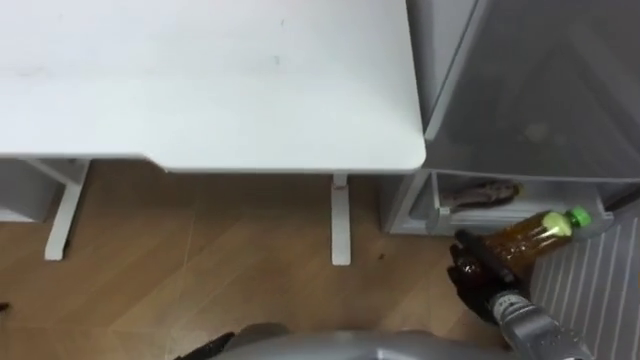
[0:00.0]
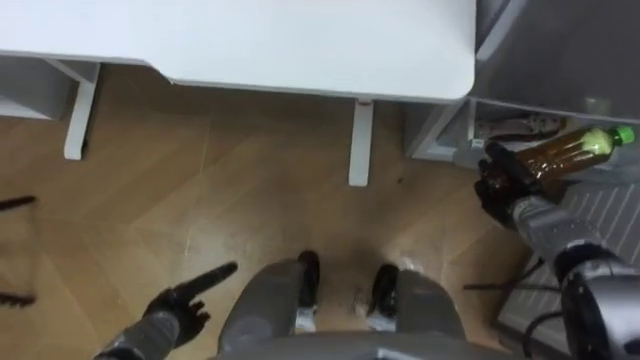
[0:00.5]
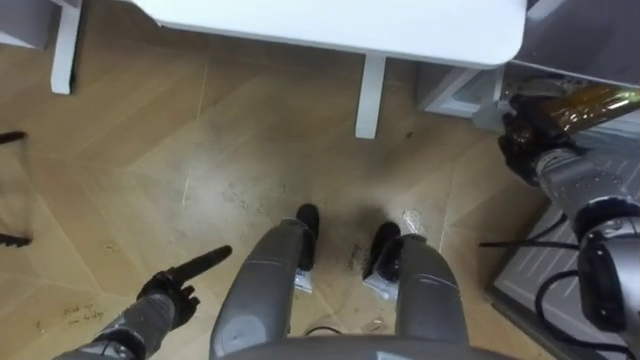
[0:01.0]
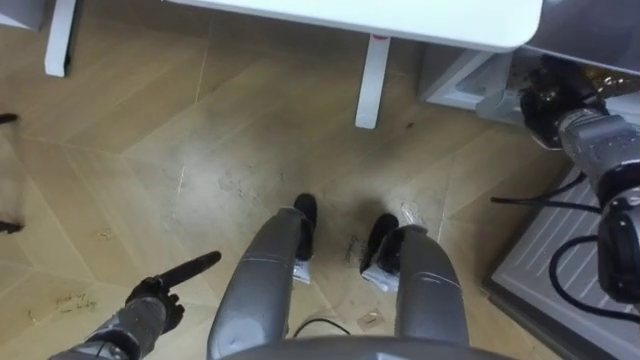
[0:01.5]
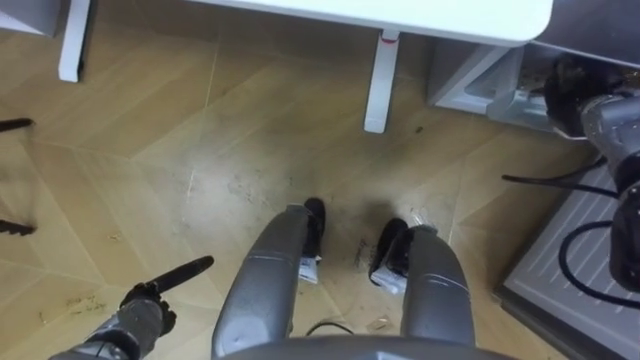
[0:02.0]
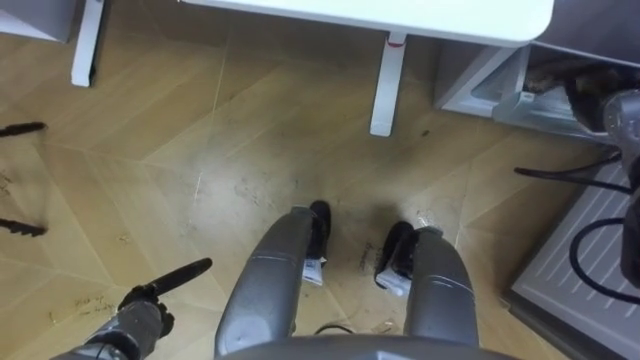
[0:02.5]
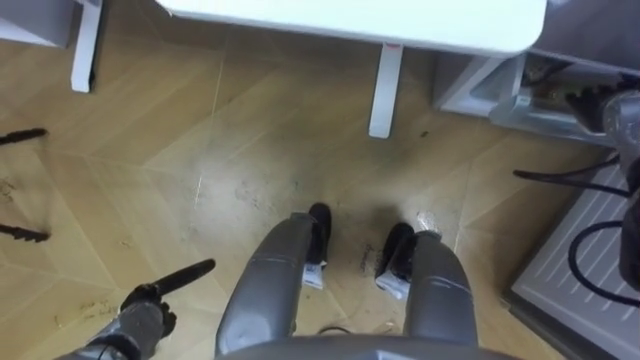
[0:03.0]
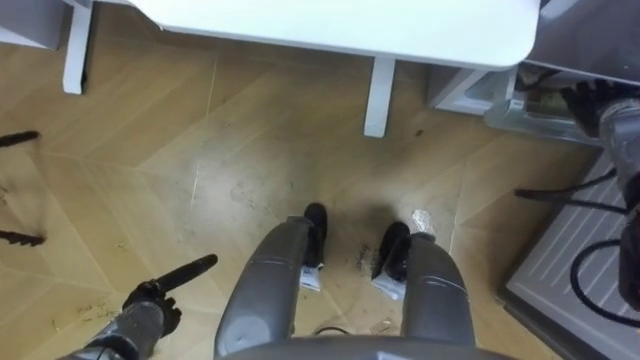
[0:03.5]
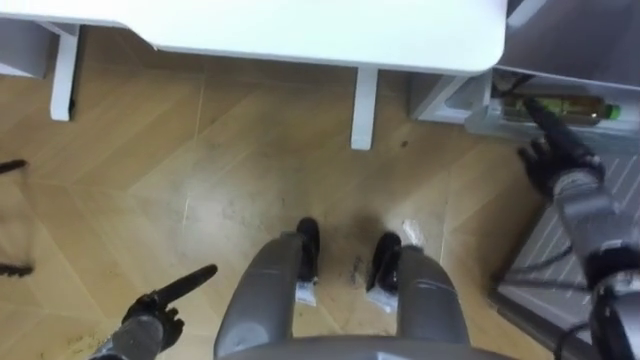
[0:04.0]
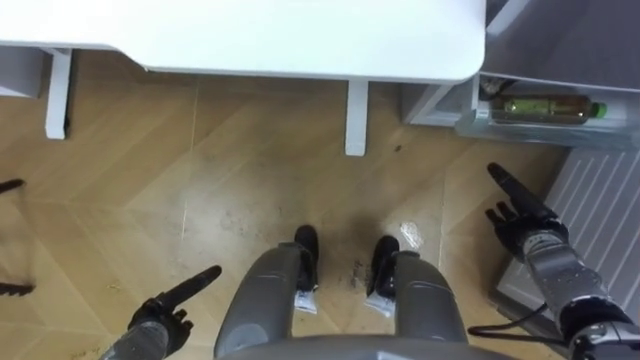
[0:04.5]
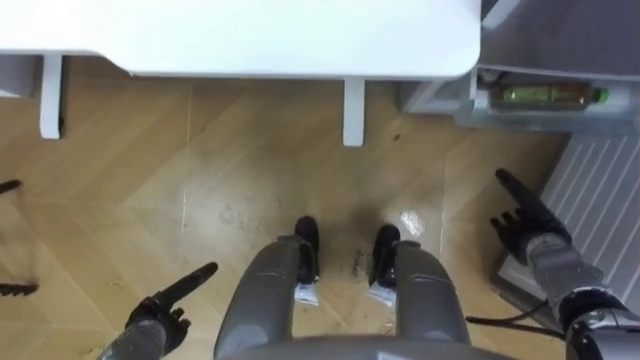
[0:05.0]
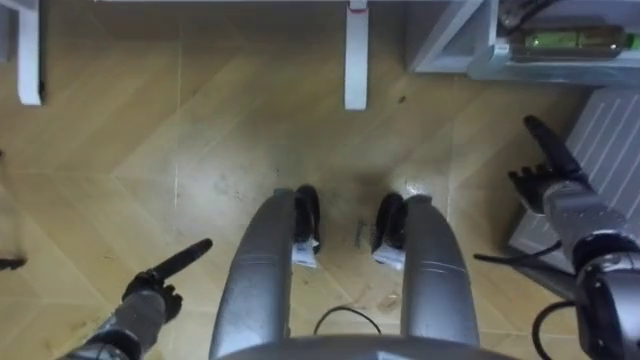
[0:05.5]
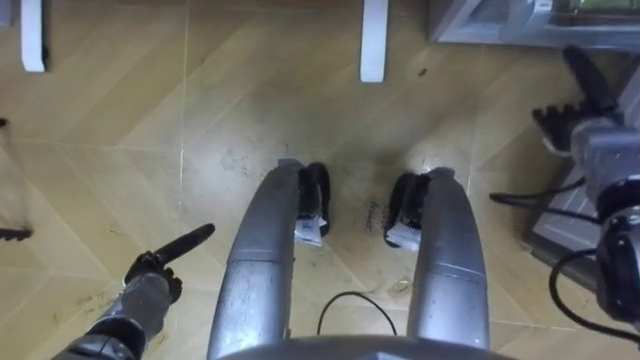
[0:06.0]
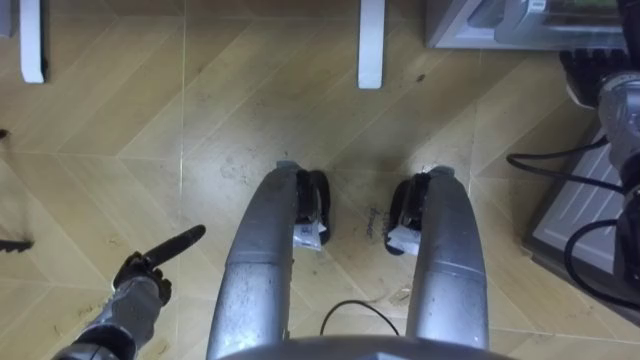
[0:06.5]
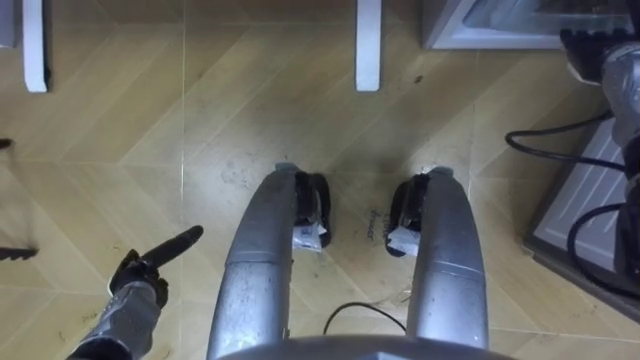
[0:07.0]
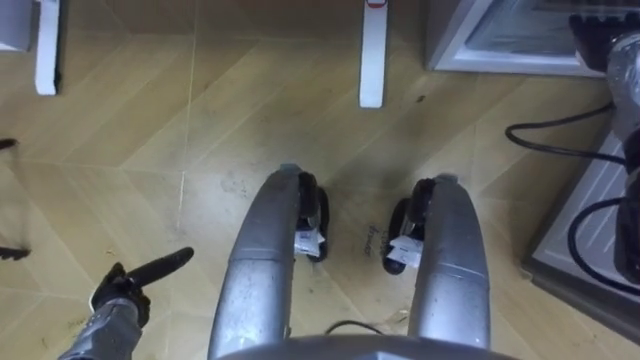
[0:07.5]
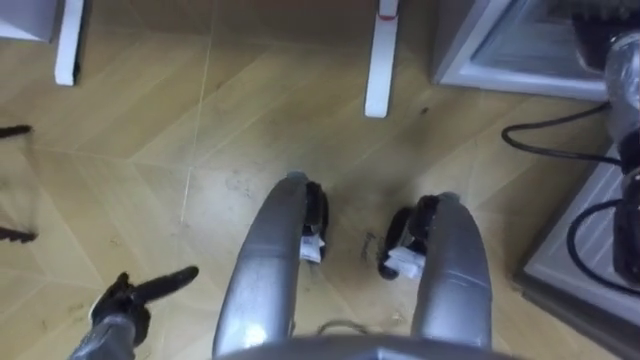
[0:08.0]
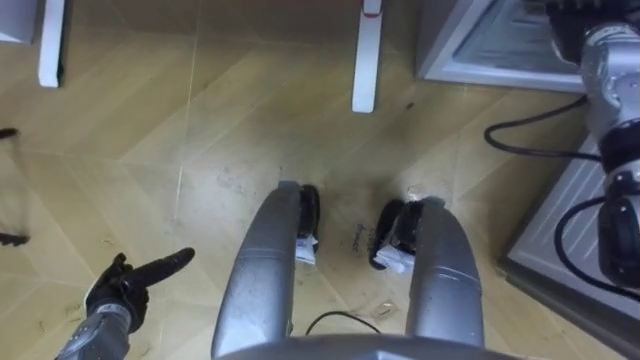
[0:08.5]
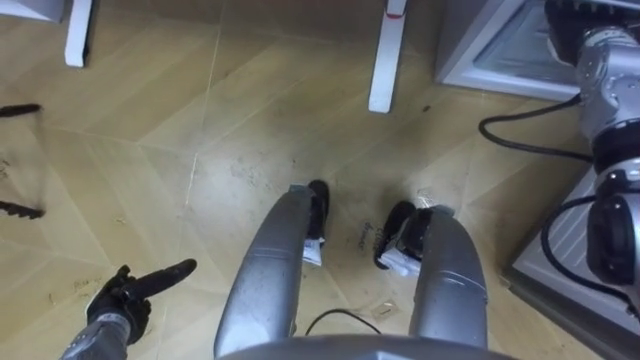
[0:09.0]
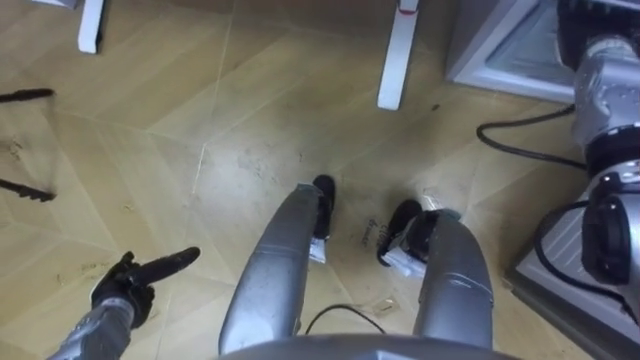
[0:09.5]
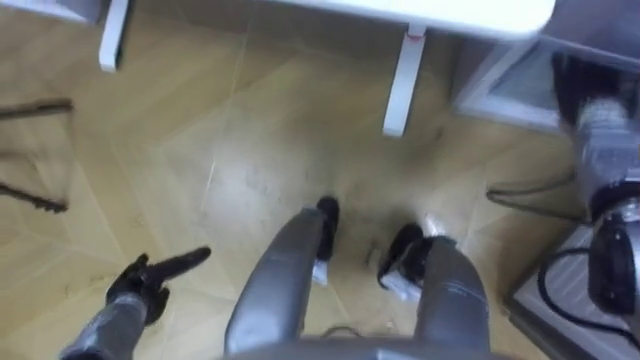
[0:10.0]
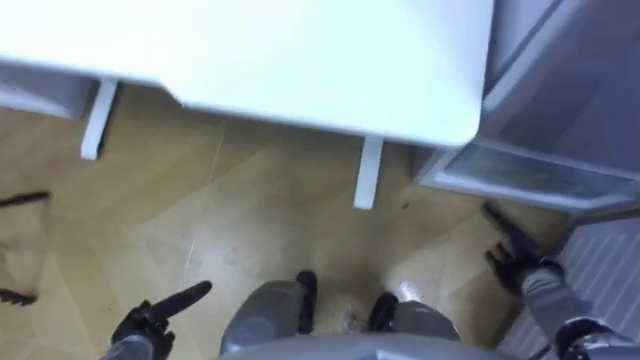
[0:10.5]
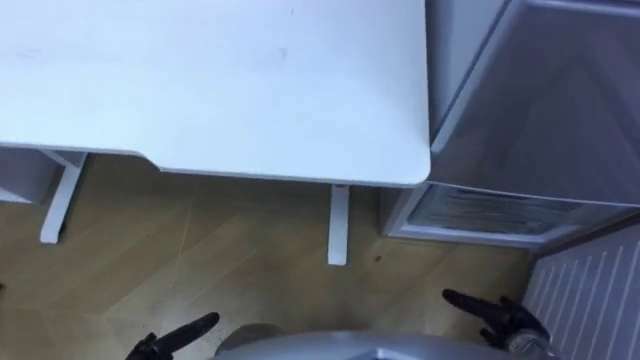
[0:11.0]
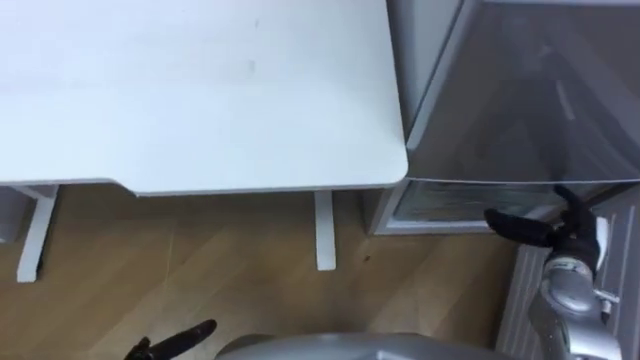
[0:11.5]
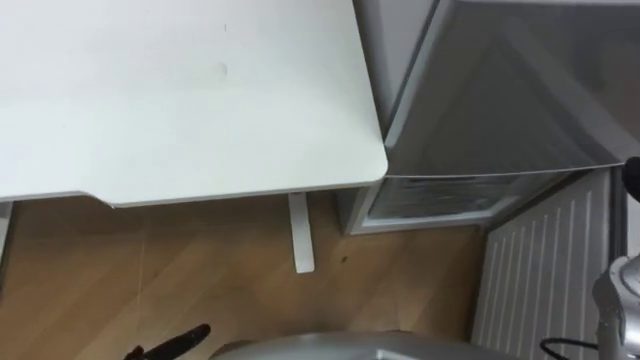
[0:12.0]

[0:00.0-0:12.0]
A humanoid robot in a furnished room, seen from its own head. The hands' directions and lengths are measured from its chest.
Task of the whole recording: Place the drink on the table on the bottom shelf of the refrigerator, then close the drawer and the refrigerator door.
0:00.0 to 0:02.0: The right hand goes some 30 cm forward, upward and to the right.
0:02.0 to 0:04.0: The right hand travels backward and downward by roughly 10 cm, and opens up.
0:04.0 to 0:06.0: The left hand shifts approximately 5 cm forward; the right hand travels backward and back again, roughly 10 cm each way.
0:06.0 to 0:08.0: The right hand moves upward and forward, roughly 10 cm. Meanwhile the left hand moves backward, roughly 5 cm.
0:08.0 to 0:10.0: The right hand heads downward, covering roughly 5 cm.

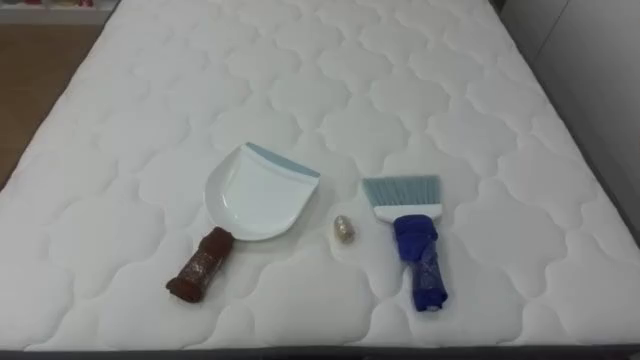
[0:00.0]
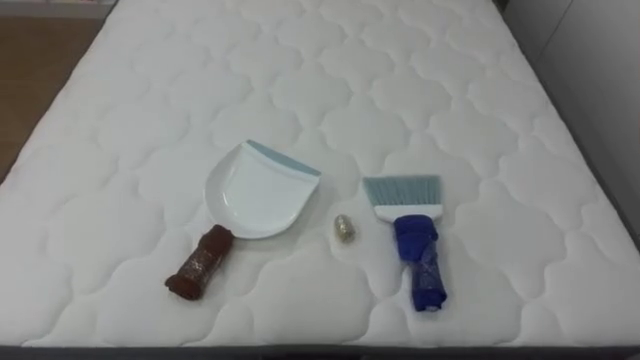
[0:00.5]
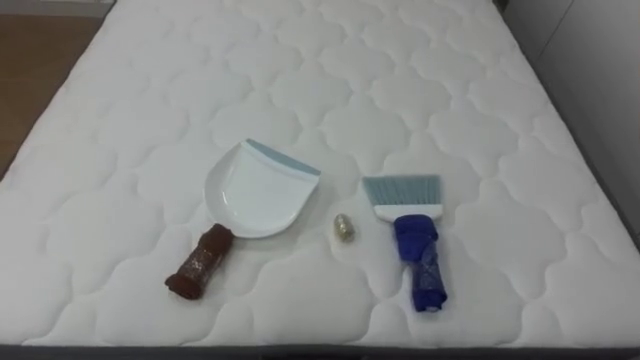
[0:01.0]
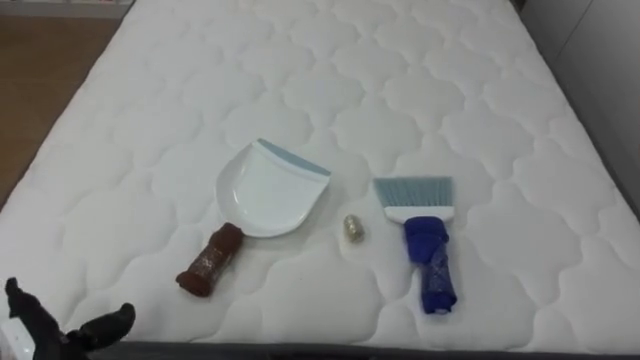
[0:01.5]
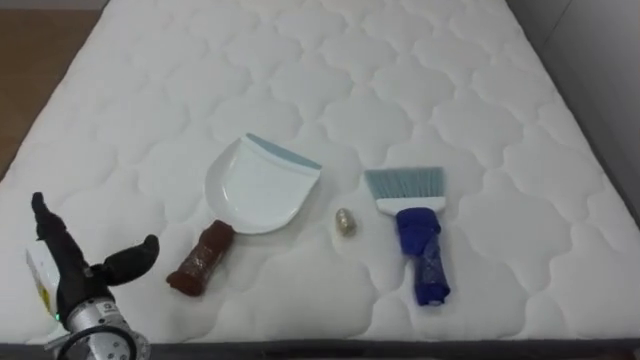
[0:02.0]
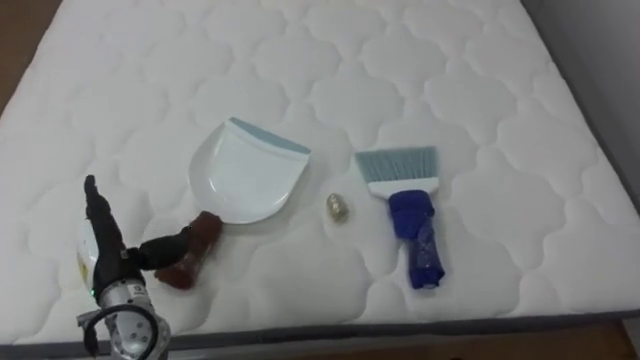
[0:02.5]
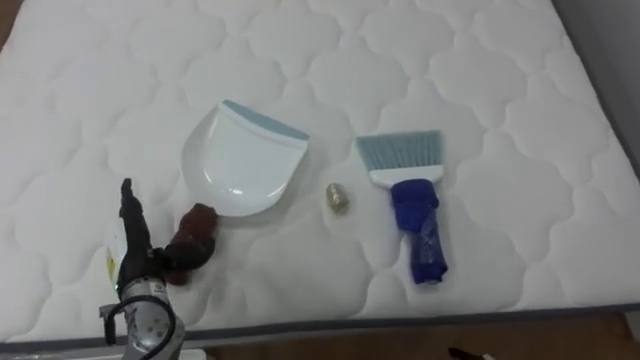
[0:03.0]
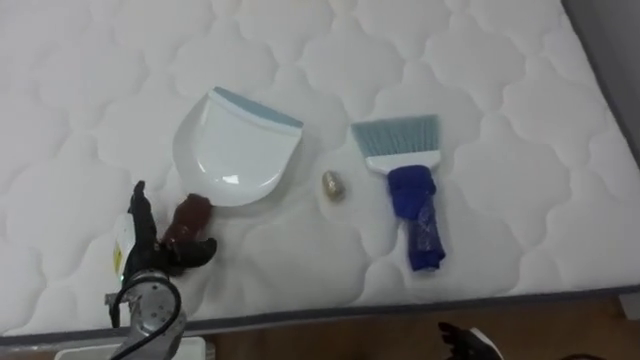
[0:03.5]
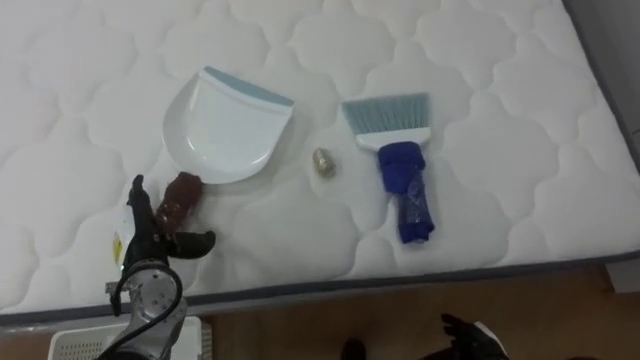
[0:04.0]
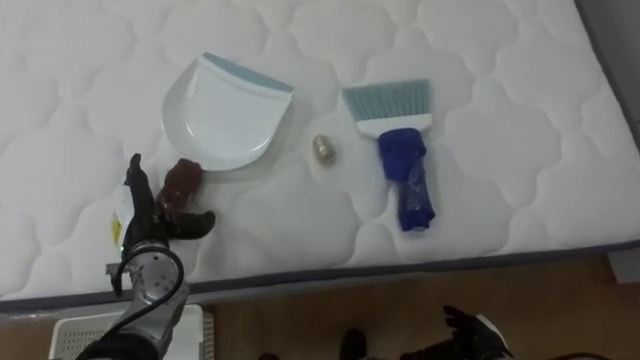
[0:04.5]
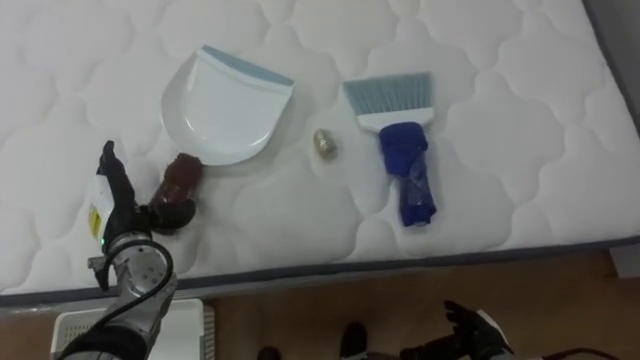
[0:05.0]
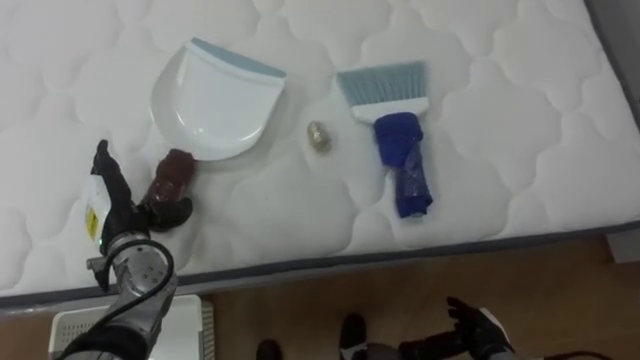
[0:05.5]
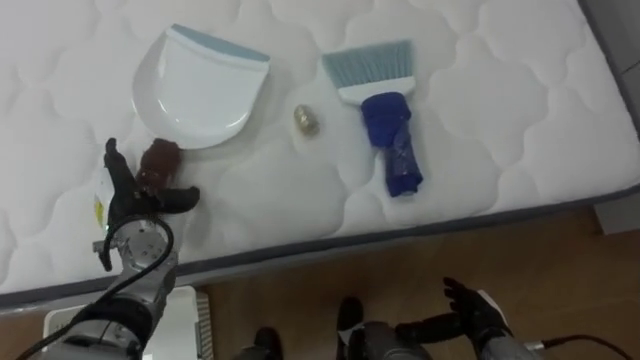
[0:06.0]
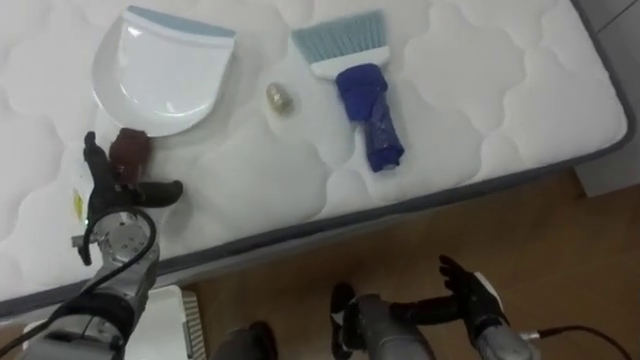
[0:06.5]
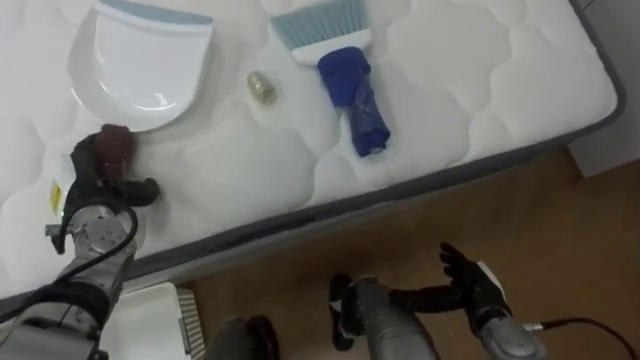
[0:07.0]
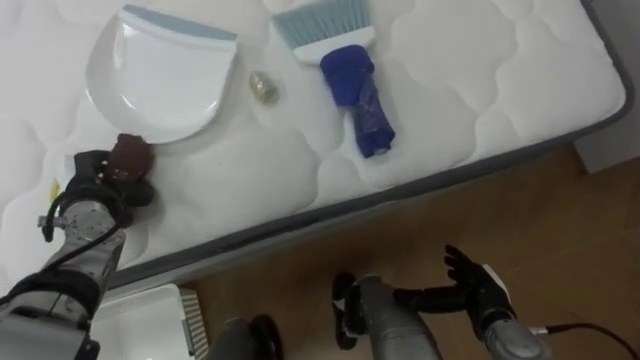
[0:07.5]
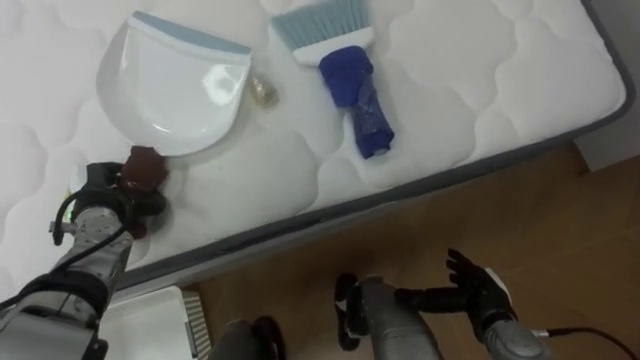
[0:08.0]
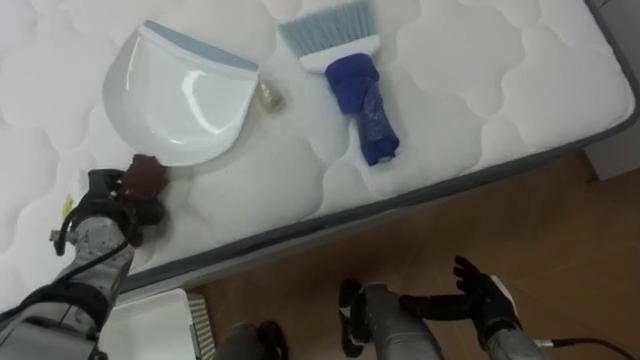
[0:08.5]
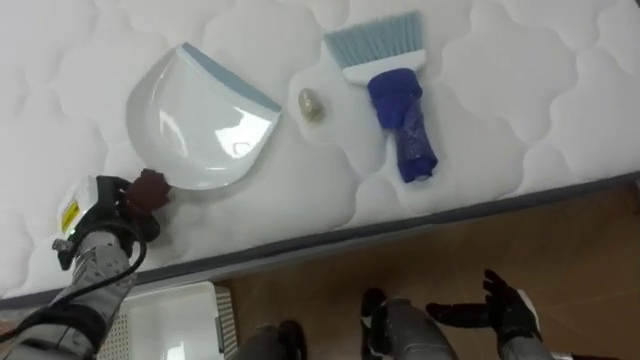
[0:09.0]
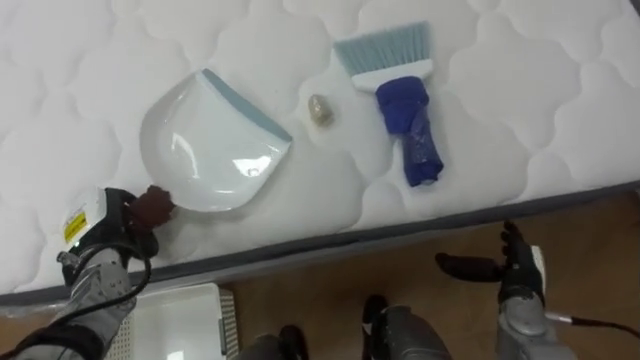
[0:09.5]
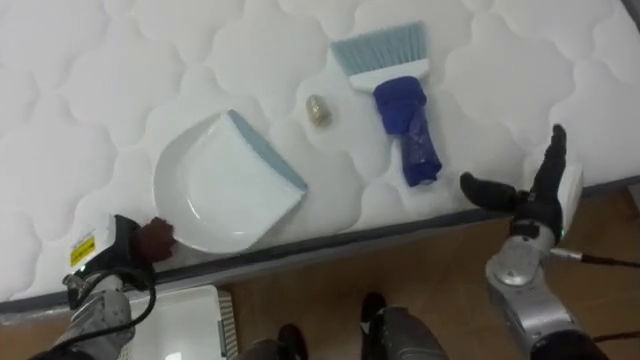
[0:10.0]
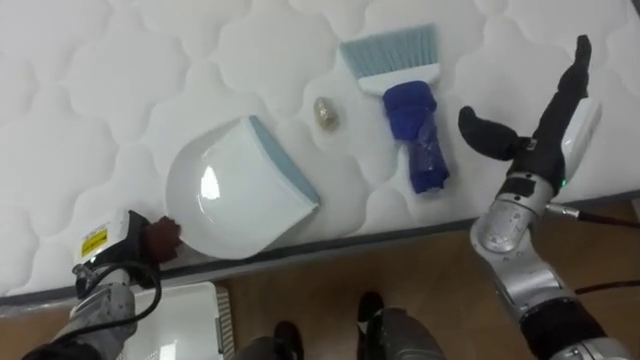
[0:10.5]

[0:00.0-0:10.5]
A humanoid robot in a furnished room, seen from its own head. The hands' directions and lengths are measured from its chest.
Task of the whole recording: Pick up the brush on your right and the dustpan on your left. Use the brush to sweep the crumpled paper on the bed into the dustpan, then turn left and empty it into the basket.
0:02.0 to 0:04.0: The left hand heads forward and to the right, covering about 10 cm.
0:04.0 to 0:06.5: The left hand shifts by some 10 cm.
0:06.5 to 0:08.5: The left hand closes up.
0:08.5 to 0:10.5: The right hand heads upward and forward, covering roughly 25 cm. Meanwhile the left hand ends up approximately 5 cm from where it was.
